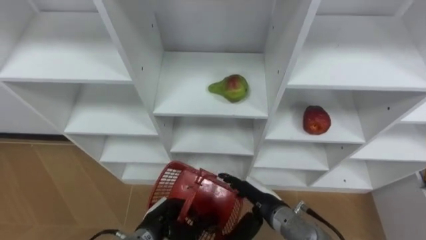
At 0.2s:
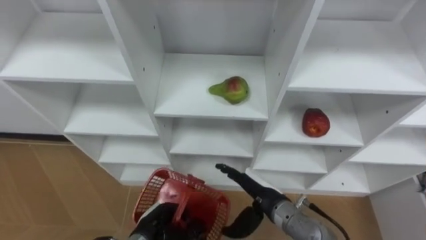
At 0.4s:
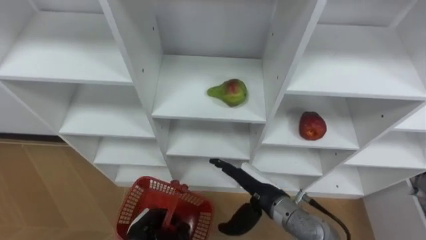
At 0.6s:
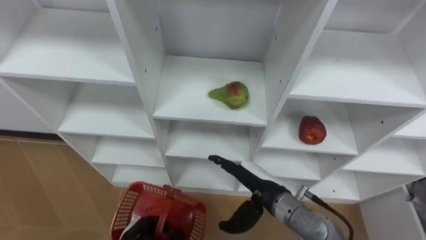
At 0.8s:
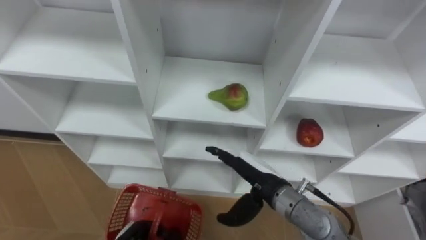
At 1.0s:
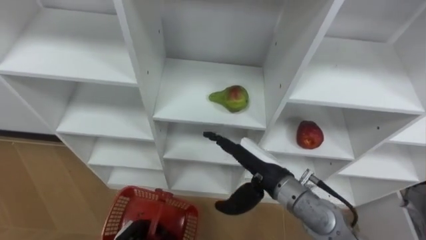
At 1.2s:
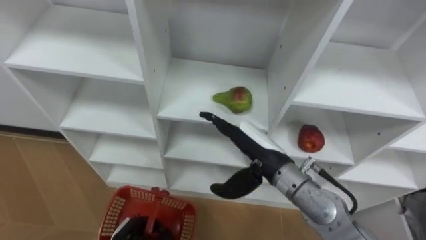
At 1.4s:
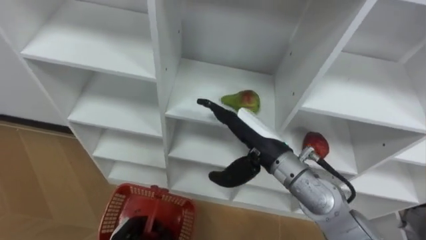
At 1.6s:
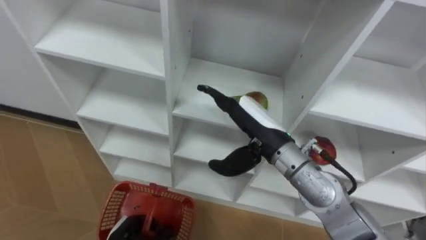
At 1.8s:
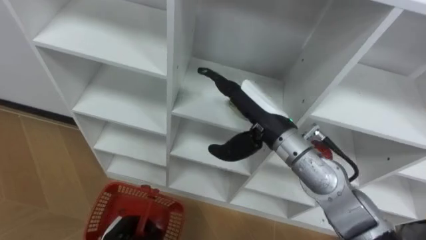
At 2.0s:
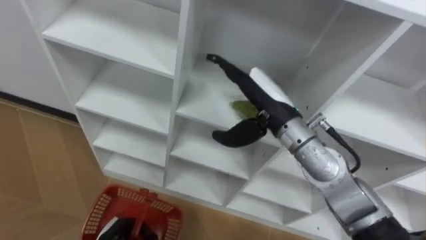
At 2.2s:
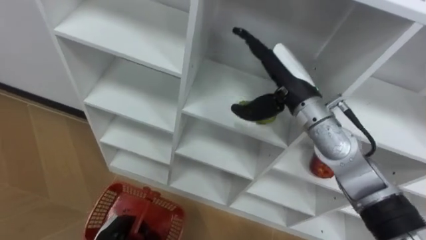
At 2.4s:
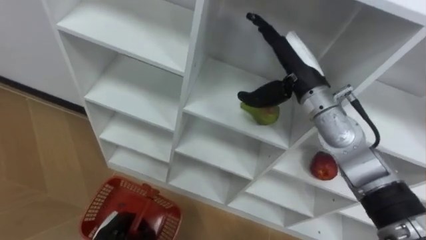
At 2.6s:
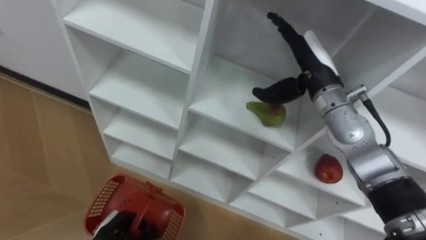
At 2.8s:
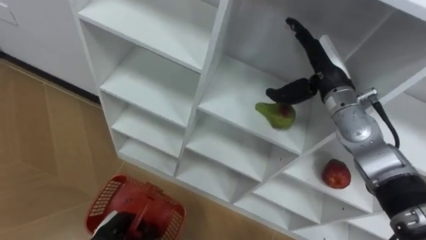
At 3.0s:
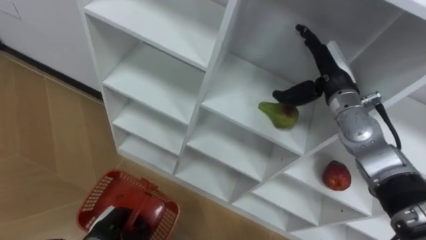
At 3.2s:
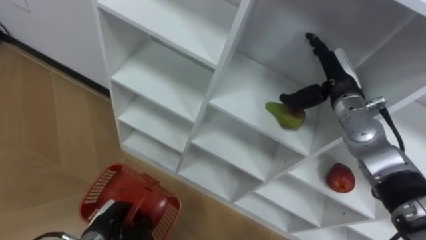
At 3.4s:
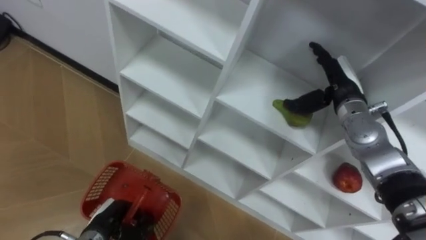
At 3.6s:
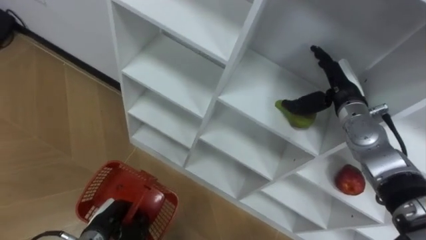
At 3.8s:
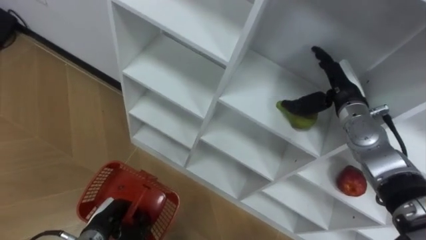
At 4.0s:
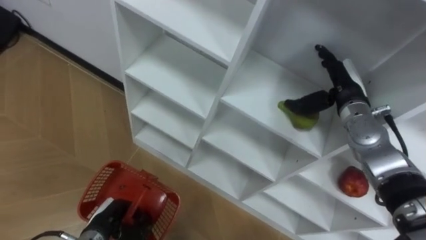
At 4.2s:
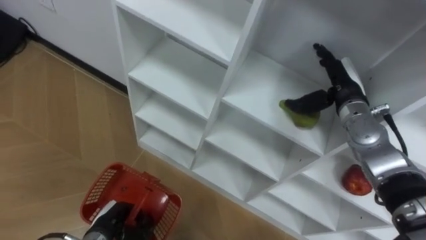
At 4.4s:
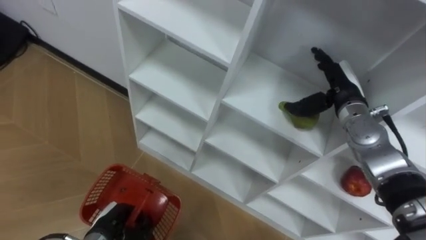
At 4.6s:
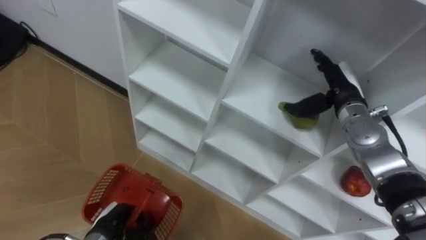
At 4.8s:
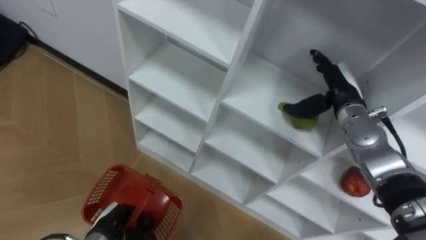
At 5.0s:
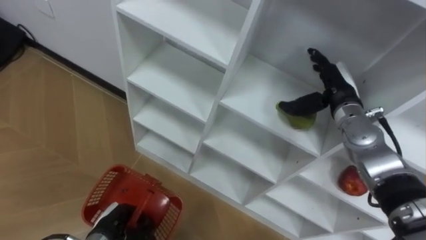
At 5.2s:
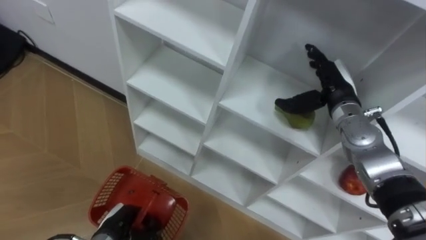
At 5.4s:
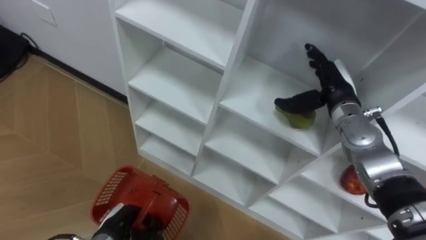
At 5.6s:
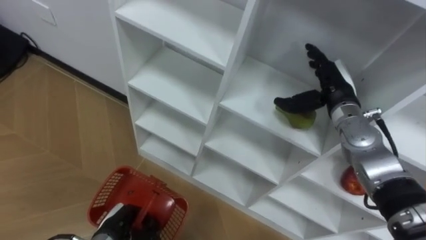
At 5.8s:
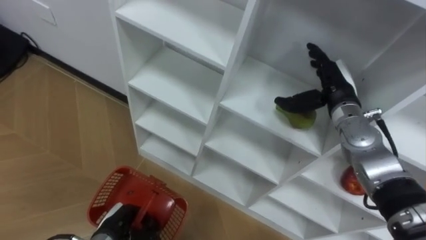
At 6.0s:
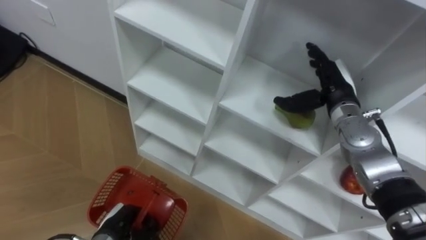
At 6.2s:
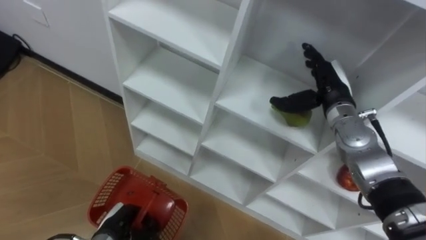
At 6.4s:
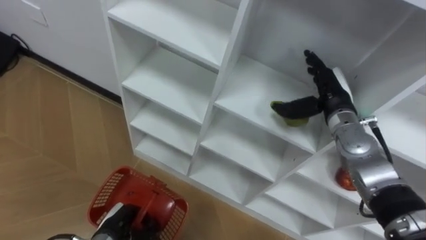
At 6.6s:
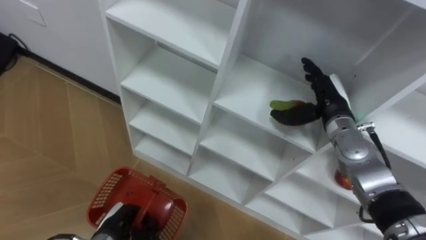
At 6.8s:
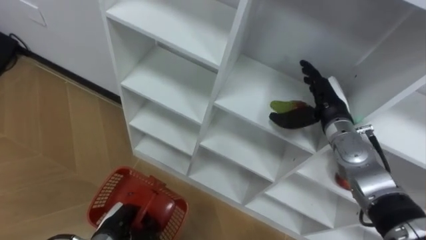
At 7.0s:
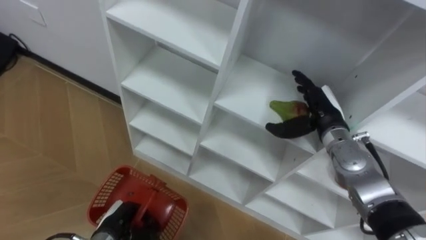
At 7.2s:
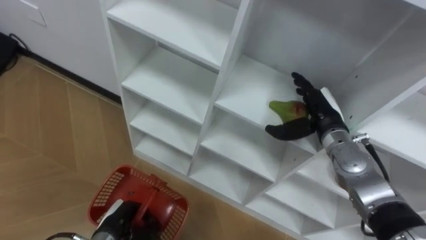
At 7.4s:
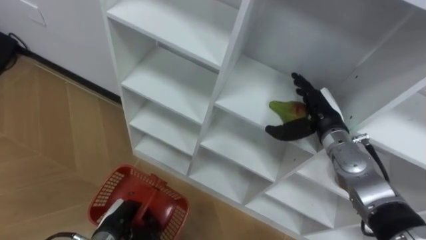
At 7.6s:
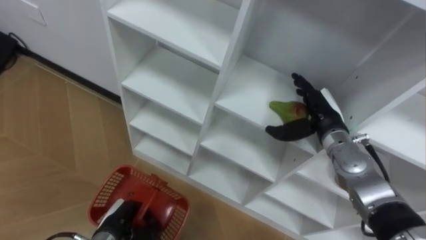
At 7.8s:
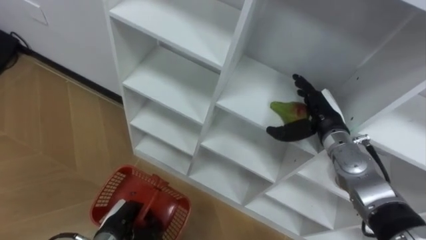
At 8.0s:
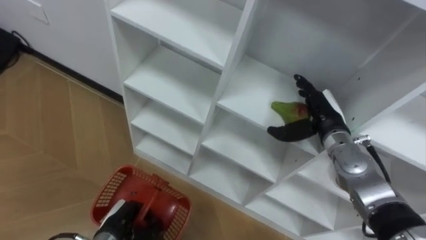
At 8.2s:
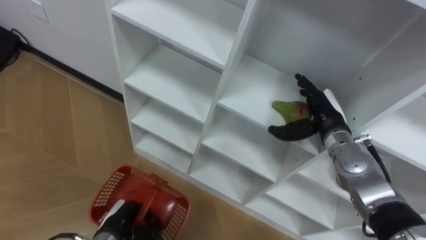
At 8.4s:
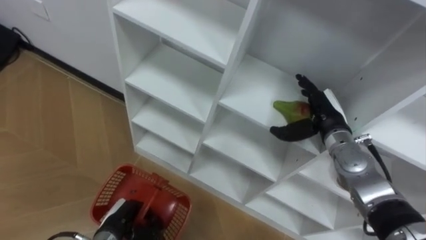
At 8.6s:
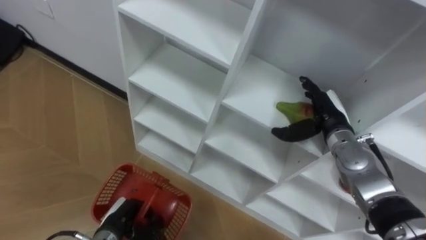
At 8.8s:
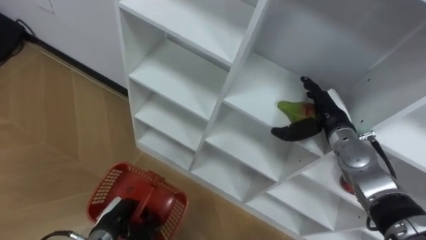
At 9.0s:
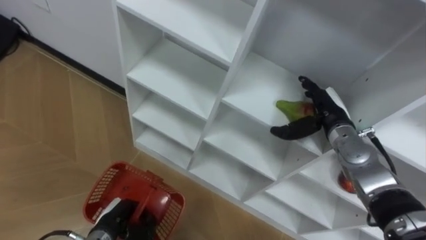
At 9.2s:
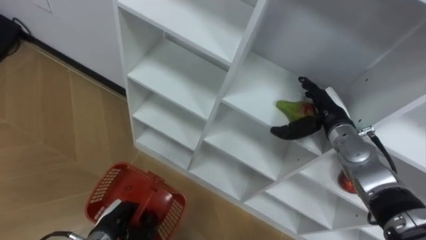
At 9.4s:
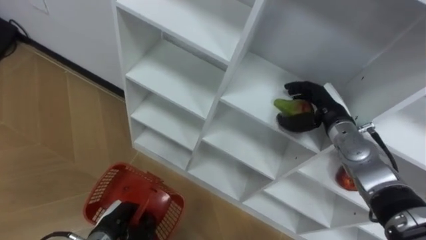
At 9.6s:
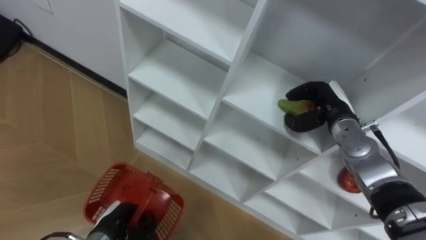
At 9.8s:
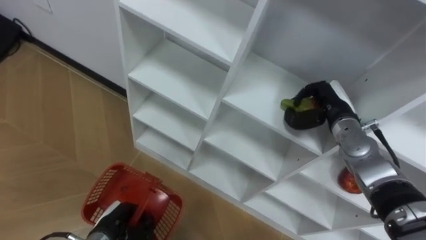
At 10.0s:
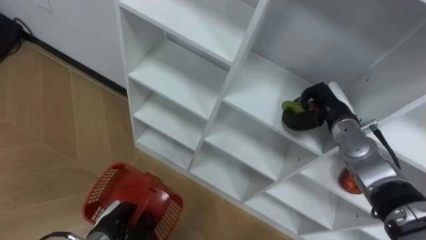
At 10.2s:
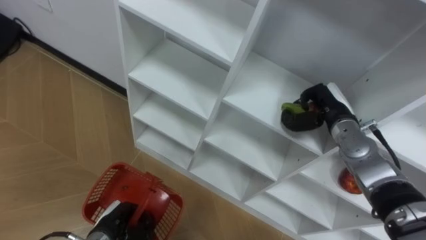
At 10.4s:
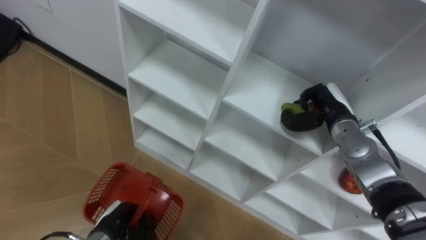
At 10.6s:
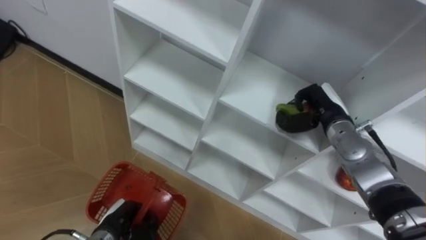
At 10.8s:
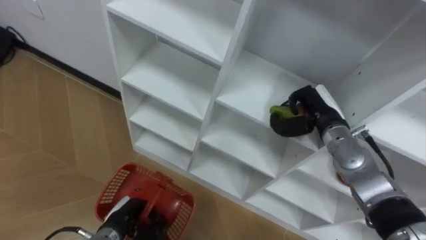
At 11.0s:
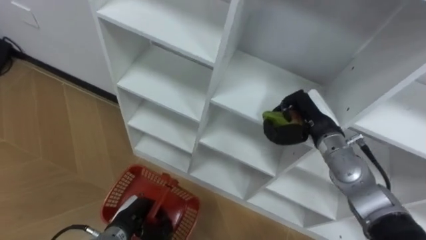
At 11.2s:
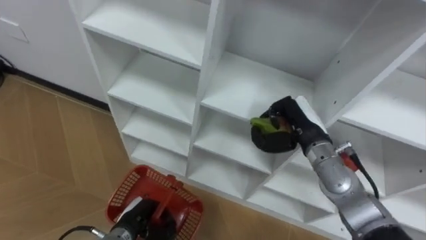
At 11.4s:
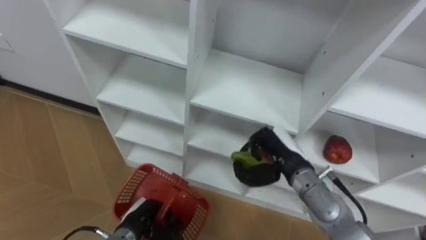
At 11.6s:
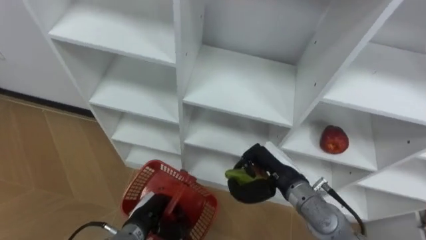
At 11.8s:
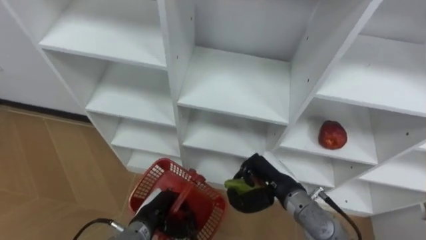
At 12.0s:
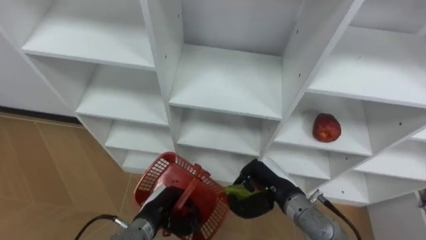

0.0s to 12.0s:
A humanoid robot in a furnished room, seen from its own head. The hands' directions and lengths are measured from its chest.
Task of the whole recording: Hold the basket and collect the fruits from 3 different cells of the closet into it.
0.0s to 1.6s: The right hand moves upward, some 20 cm.
1.6s to 3.0s: The right hand travels to the right and forward by some 15 cm.
3.0s to 4.4s: The right hand moves about 5 cm.
4.4s to 6.0s: There are only small adjustments of the hands.
6.0s to 7.6s: The right hand moves about 5 cm.
9.0s to 10.4s: The right hand closes its fingers.
10.4s to 12.0s: The left hand is displaced to the right by some 10 cm; the right hand moves backward, to the left and downward, about 20 cm.

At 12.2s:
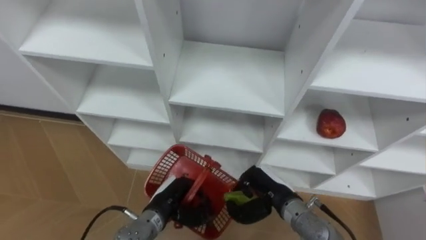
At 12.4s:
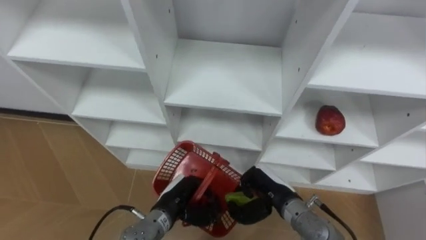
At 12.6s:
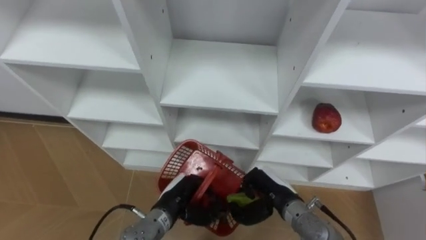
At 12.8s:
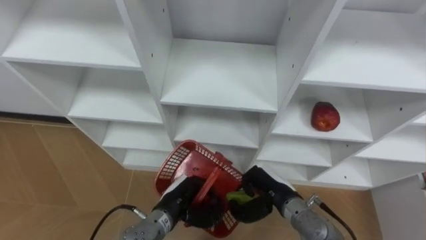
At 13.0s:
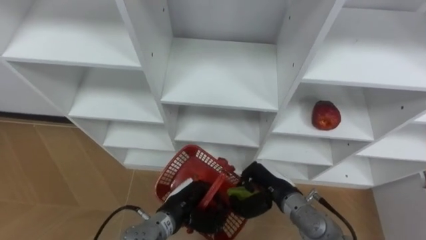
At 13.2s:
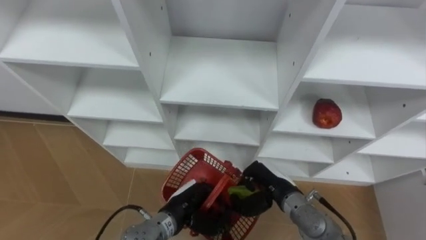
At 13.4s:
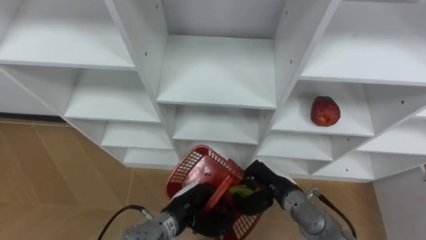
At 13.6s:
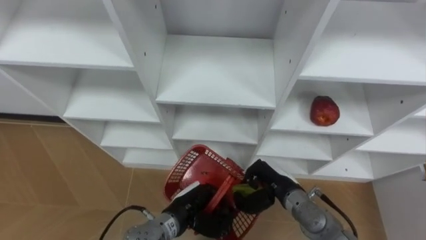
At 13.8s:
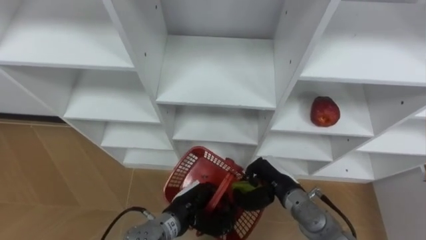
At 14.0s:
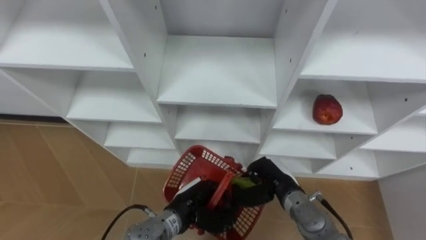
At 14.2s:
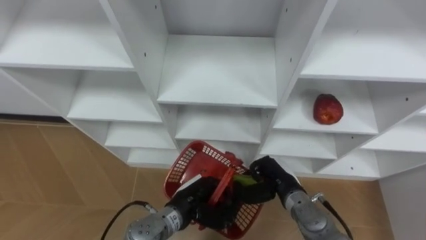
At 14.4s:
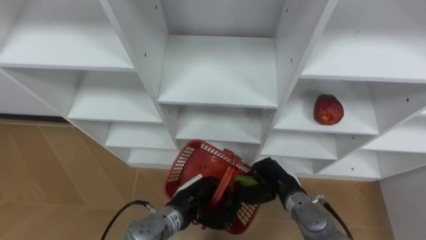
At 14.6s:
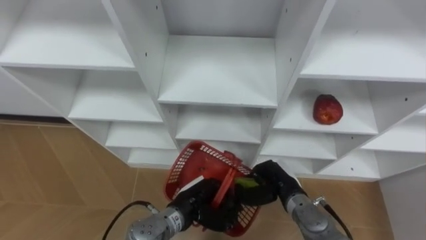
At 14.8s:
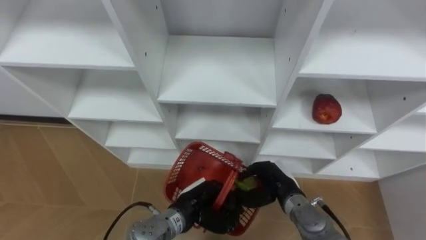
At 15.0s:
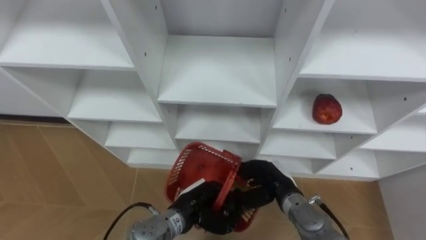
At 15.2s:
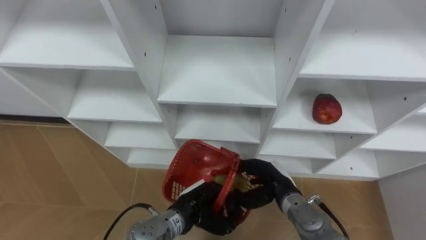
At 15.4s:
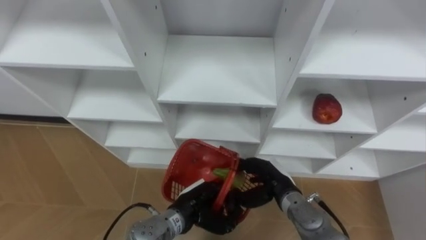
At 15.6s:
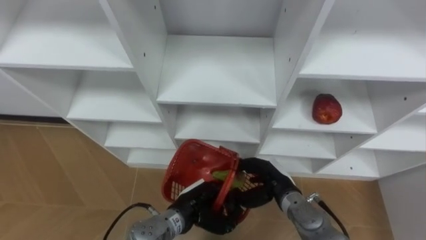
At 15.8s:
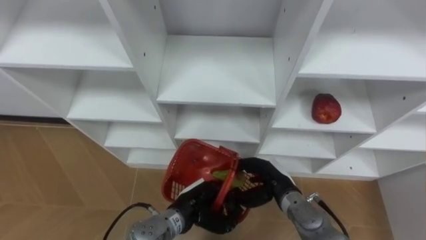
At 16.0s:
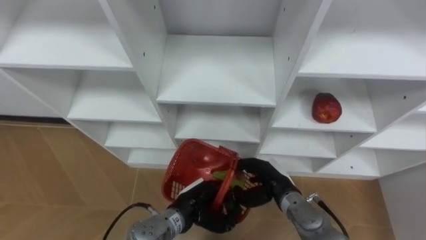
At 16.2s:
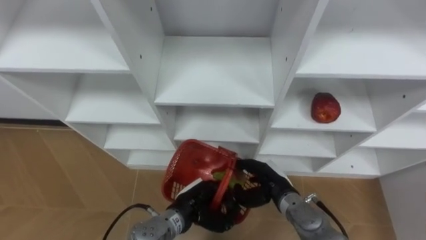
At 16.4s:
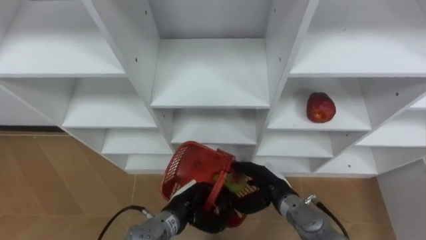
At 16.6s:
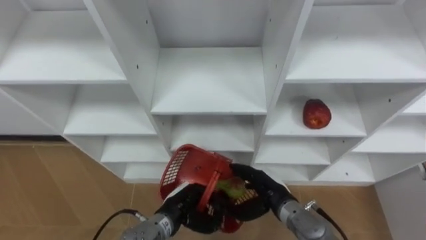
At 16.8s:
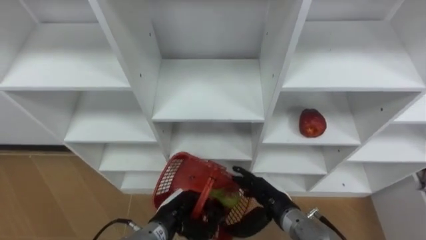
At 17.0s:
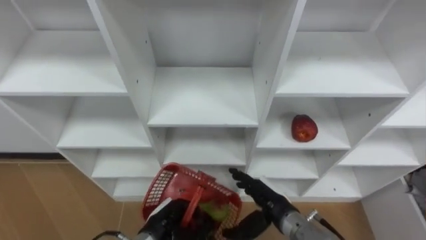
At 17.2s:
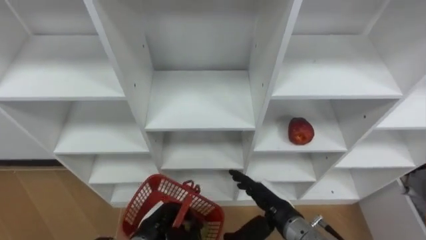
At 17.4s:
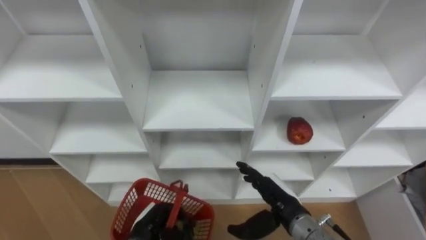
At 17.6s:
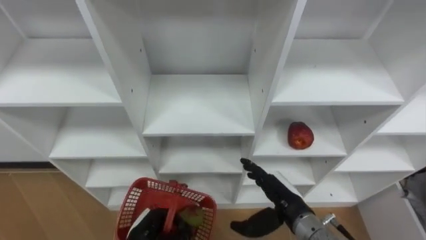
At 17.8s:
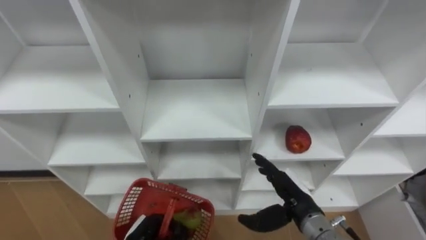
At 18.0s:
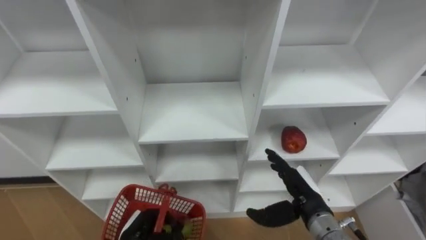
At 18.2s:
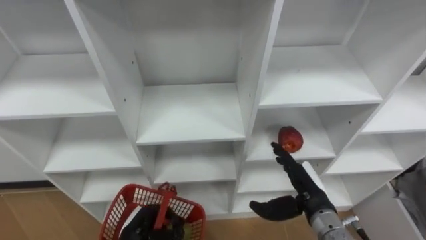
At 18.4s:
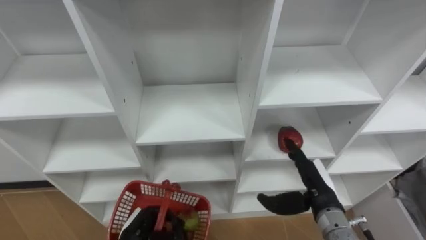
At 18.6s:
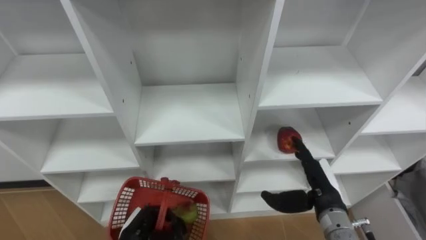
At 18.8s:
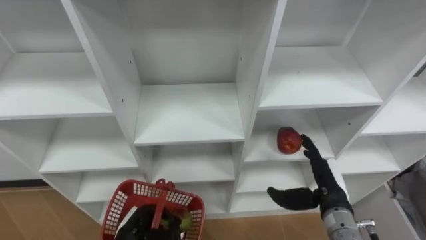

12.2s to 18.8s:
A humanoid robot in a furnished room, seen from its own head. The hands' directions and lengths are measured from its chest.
Task of the whole recording: Hold the basket and collect the fruits from 3 different cells of the closet into it.
12.2s to 13.8s: The left hand shifts roughly 5 cm to the right.
13.8s to 15.4s: The right hand opens.
15.4s to 17.2s: The right hand goes some 5 cm backward. Meanwhile the left hand is displaced to the left by some 10 cm.
17.2s to 18.8s: The right hand moves to the right, some 10 cm.
